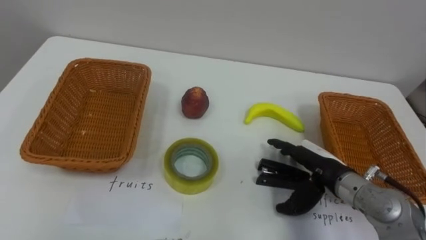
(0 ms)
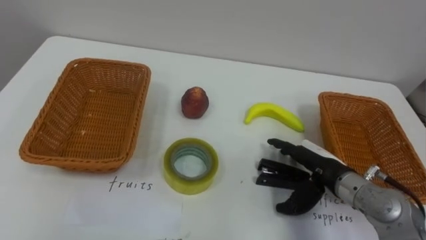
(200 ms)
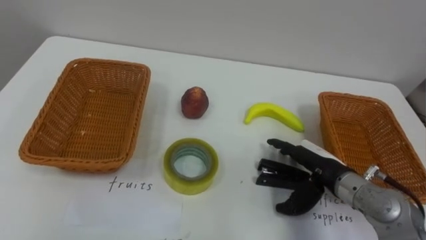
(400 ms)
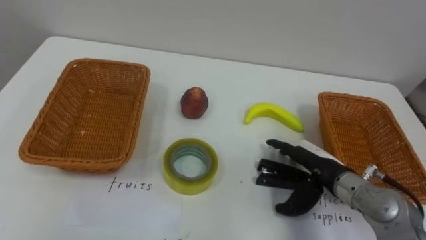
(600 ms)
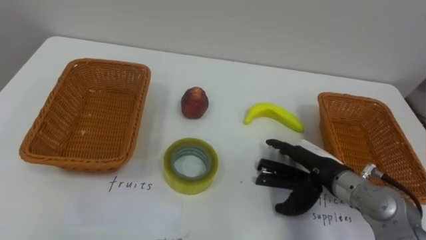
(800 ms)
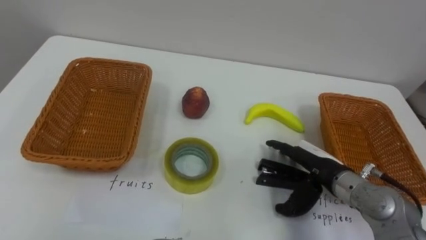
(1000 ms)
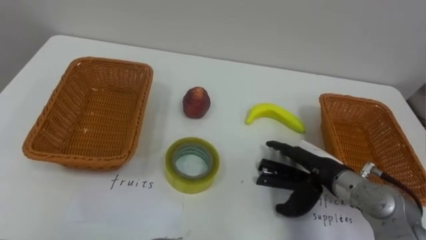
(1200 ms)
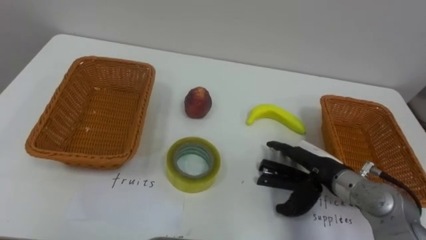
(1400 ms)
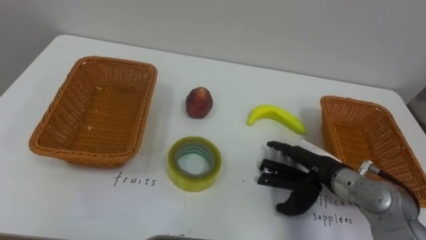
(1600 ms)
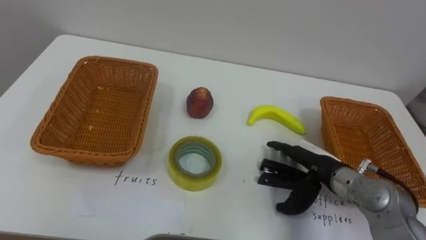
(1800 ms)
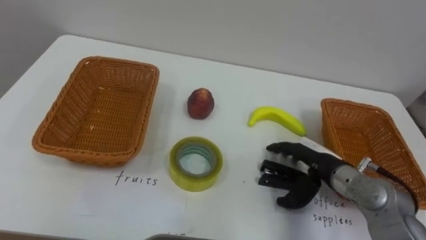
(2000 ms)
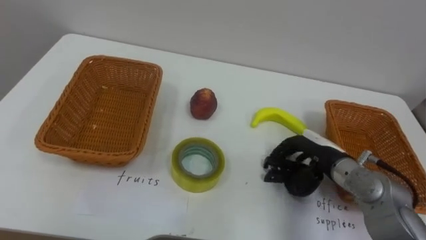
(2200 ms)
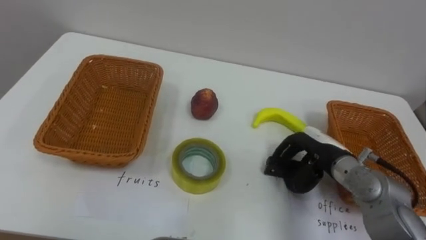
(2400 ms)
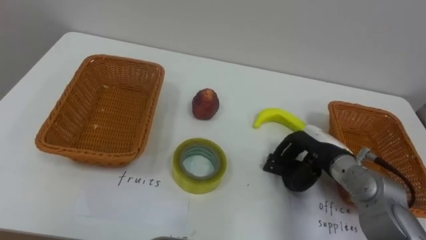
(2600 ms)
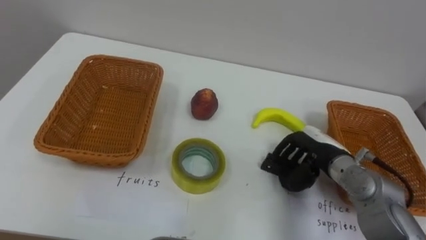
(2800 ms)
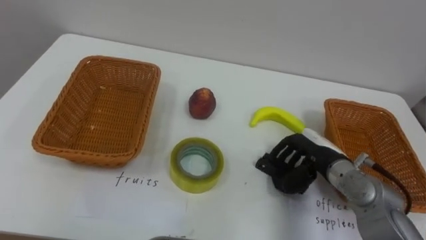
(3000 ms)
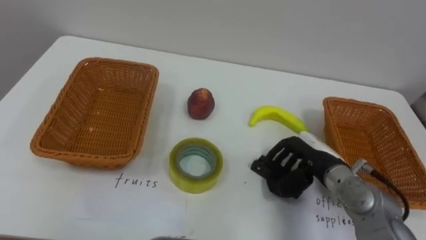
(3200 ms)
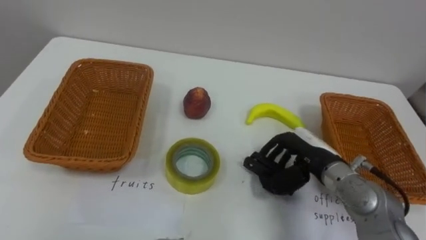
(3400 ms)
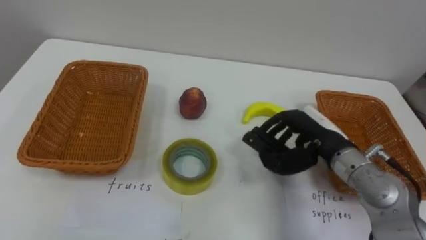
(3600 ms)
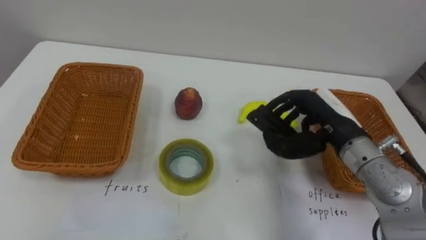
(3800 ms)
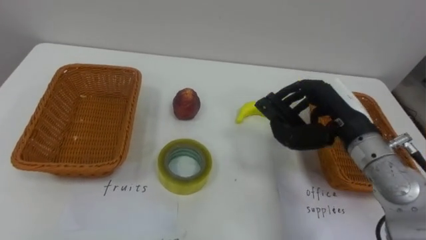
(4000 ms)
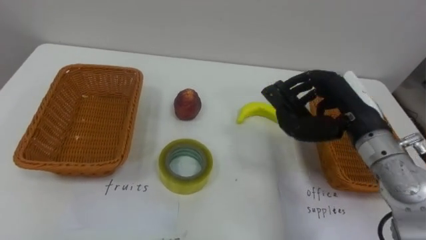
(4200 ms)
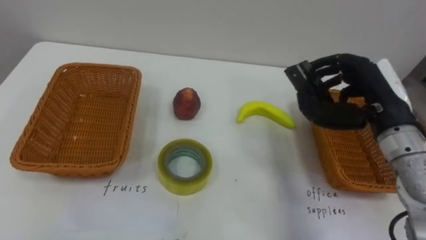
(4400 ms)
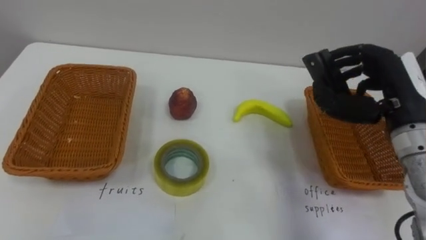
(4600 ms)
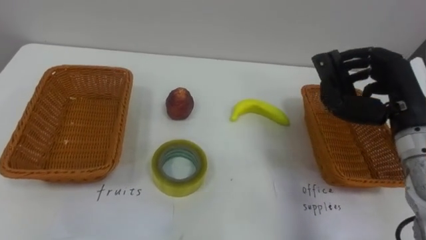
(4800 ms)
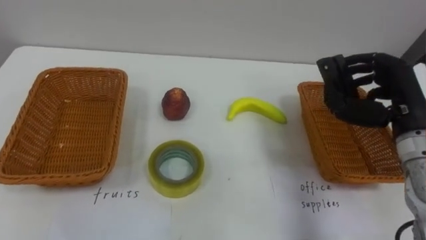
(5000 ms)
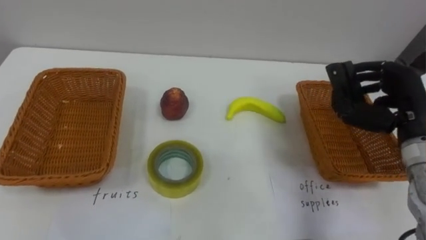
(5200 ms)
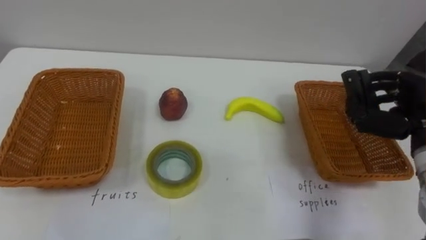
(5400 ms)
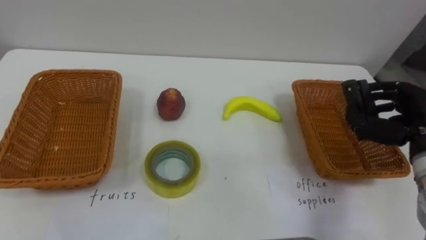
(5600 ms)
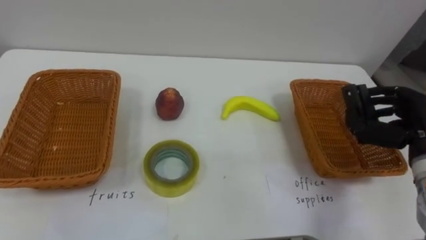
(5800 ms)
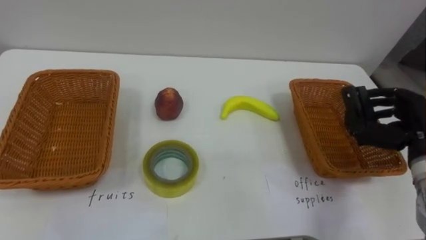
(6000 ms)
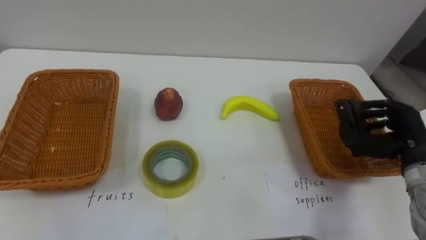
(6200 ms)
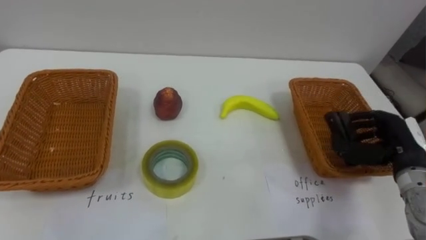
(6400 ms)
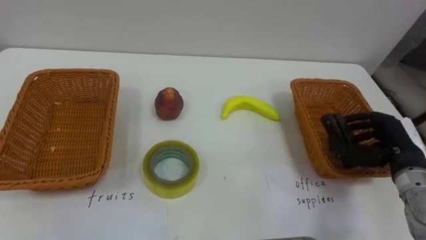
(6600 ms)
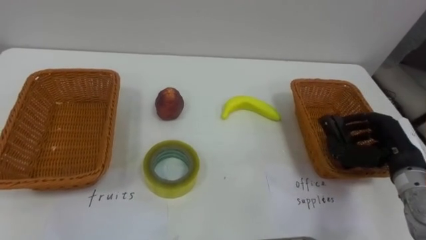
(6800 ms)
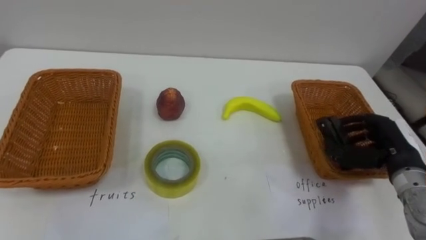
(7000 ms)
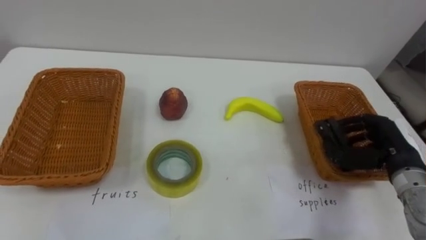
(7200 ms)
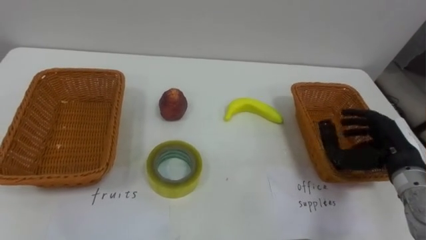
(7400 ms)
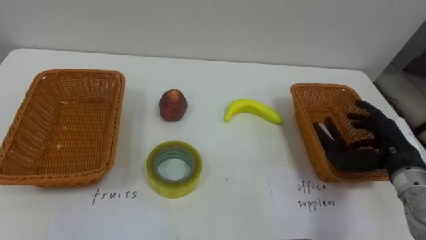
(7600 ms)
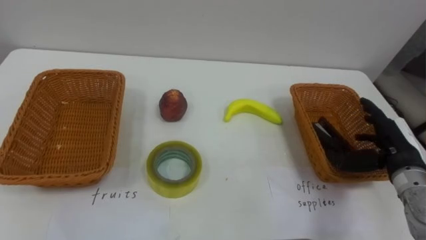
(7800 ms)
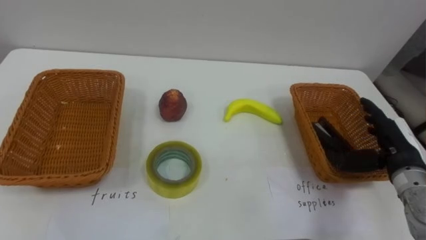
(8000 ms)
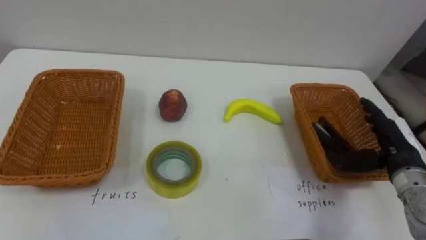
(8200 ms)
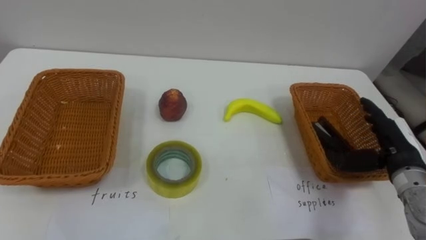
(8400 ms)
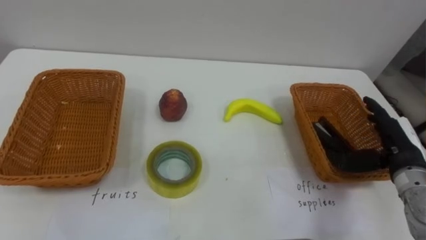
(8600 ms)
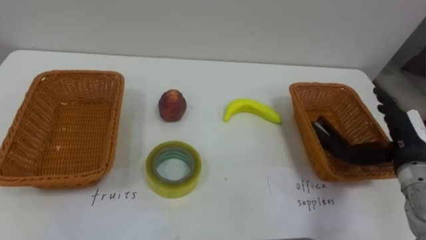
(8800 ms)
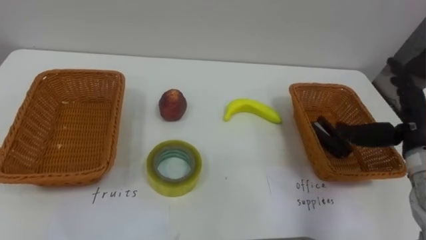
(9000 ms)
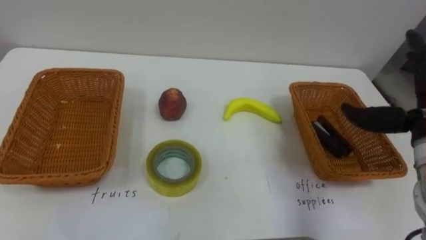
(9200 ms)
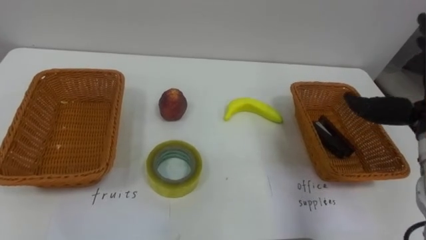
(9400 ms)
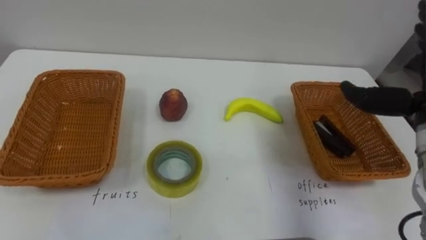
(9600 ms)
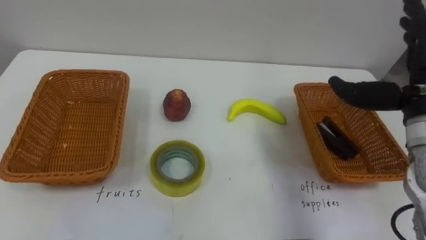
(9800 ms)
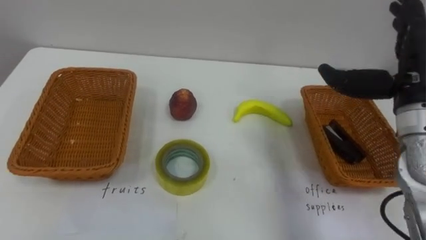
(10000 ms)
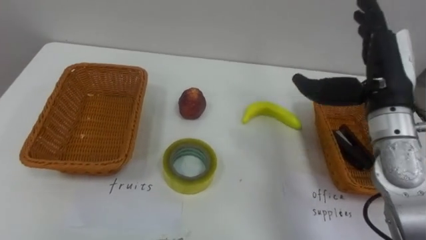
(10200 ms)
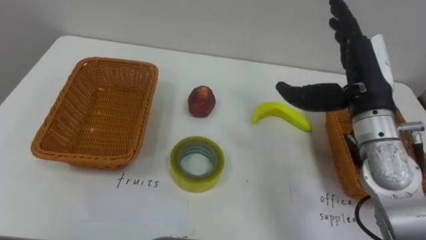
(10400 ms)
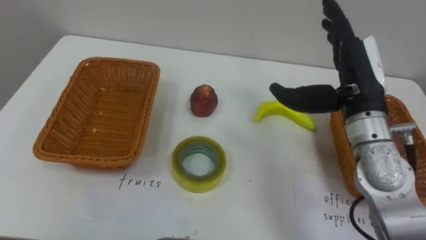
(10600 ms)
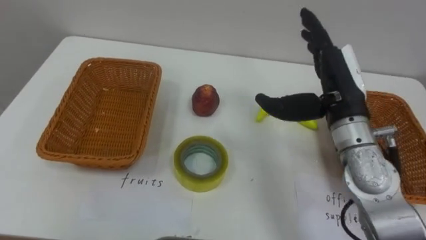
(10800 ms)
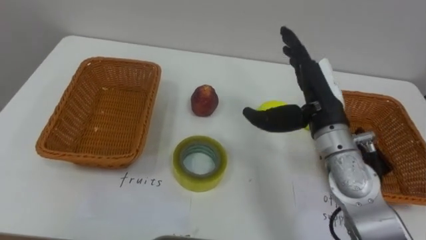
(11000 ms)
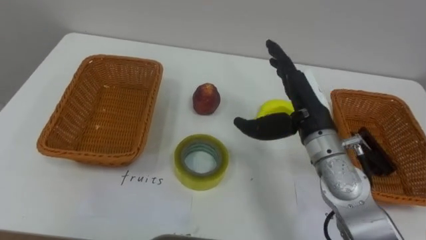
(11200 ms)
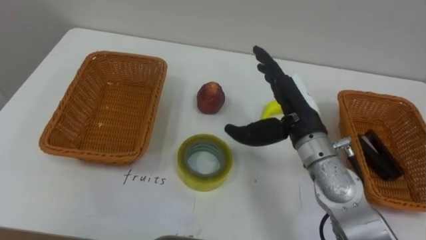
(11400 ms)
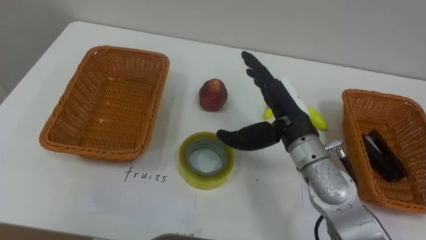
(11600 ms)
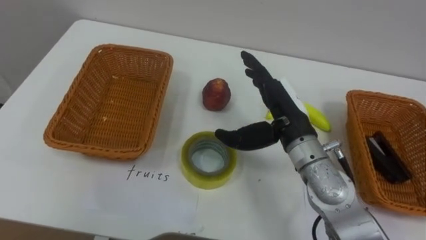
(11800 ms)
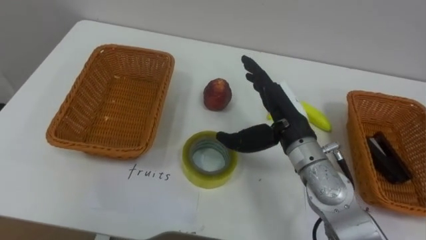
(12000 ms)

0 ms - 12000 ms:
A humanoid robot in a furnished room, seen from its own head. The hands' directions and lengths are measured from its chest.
Task of the whole recording: Separate the items on the table and place them into the two baskets.
1600 ms - 3000 ms: The right hand closes its fingers.
3000 ms - 4400 ms: The right hand heads upward, covering about 15 cm.
4400 ms - 6000 ms: The right hand shifts approximately 10 cm to the right and downward.
6000 ms - 7600 ms: The right hand opens.
7600 ms - 9000 ms: The right hand heads upward, covering some 5 cm.
10400 ms - 12000 ms: The right hand shifts approximately 10 cm to the left and downward.

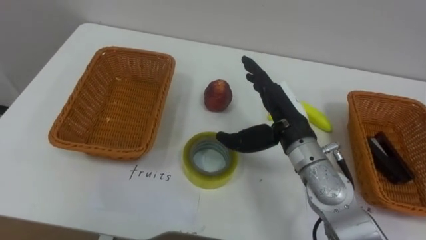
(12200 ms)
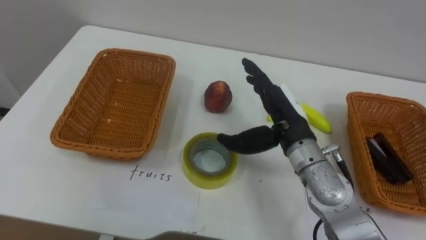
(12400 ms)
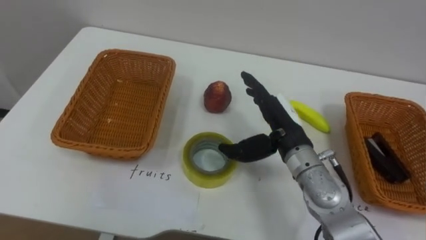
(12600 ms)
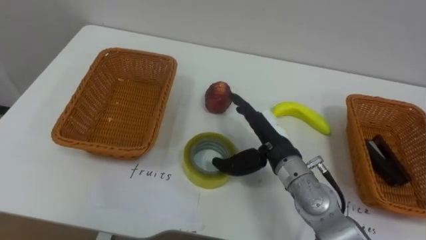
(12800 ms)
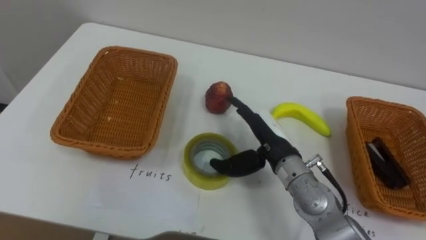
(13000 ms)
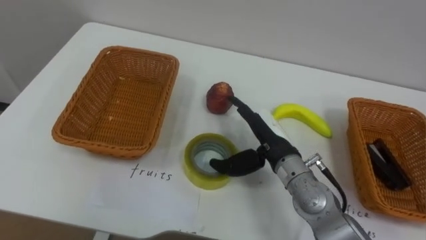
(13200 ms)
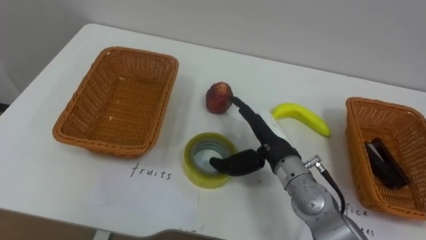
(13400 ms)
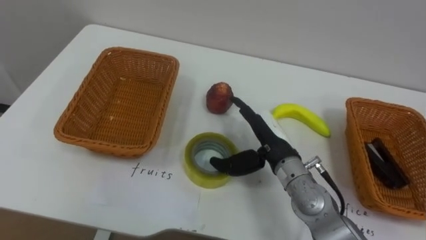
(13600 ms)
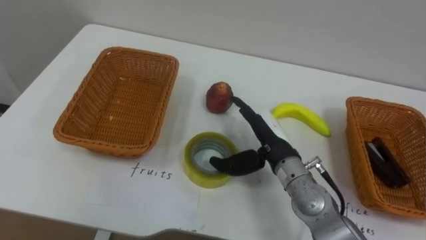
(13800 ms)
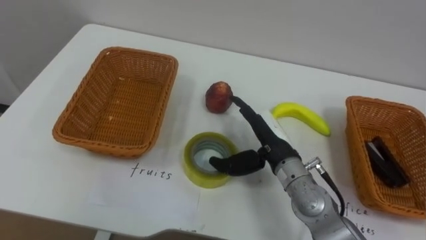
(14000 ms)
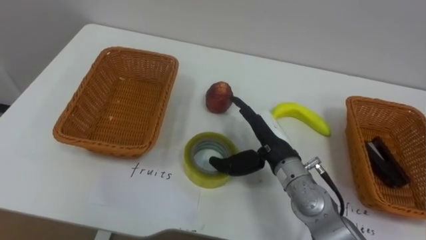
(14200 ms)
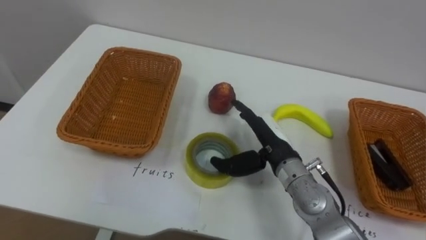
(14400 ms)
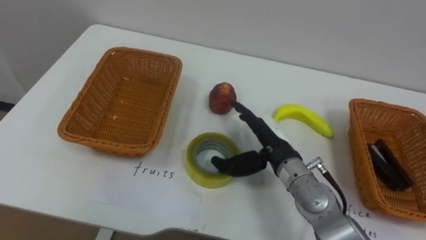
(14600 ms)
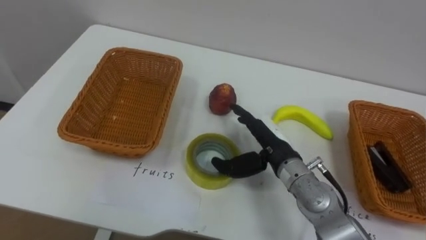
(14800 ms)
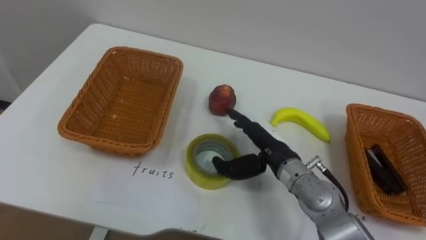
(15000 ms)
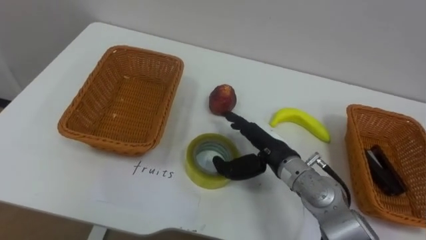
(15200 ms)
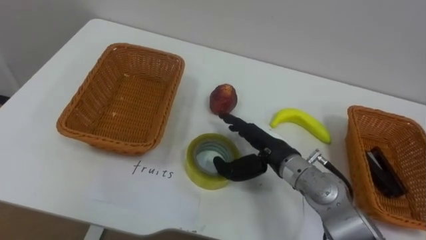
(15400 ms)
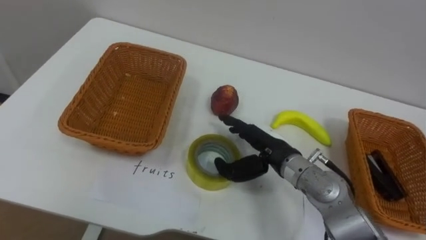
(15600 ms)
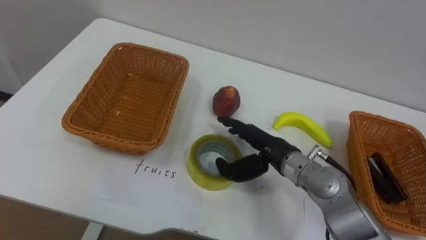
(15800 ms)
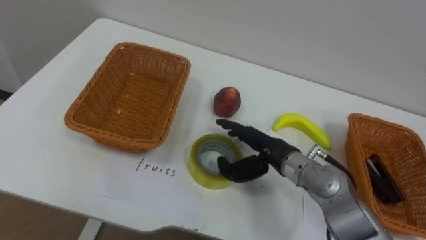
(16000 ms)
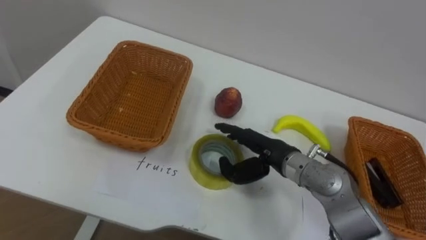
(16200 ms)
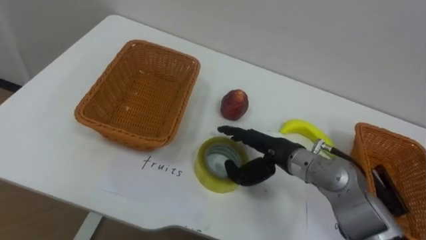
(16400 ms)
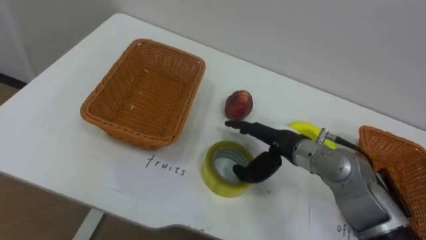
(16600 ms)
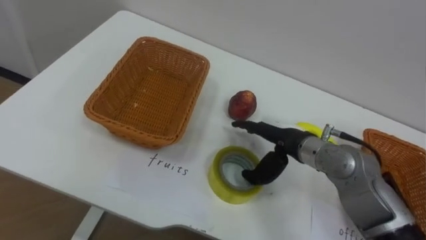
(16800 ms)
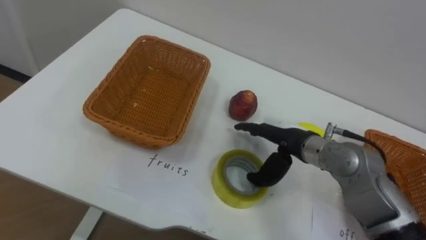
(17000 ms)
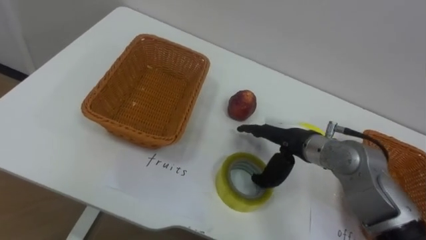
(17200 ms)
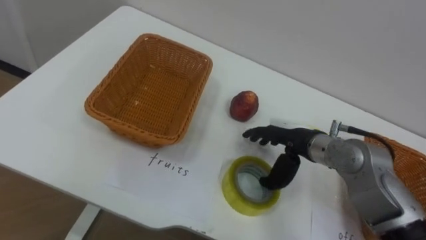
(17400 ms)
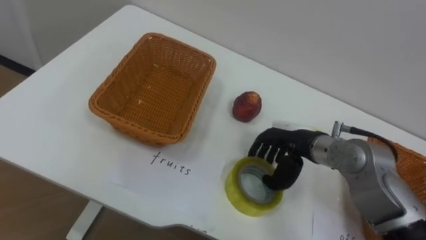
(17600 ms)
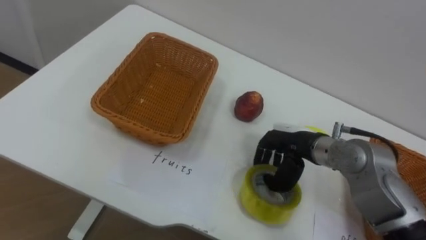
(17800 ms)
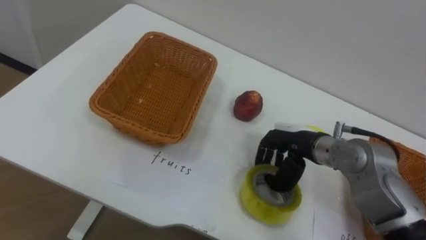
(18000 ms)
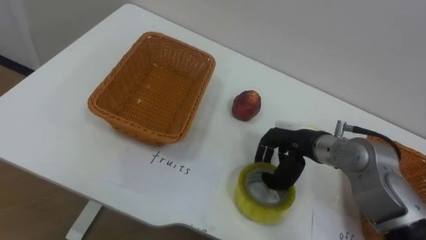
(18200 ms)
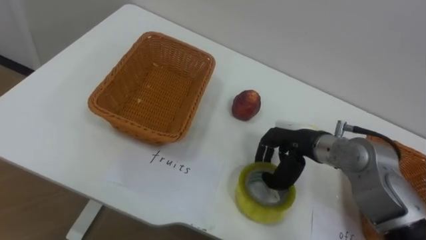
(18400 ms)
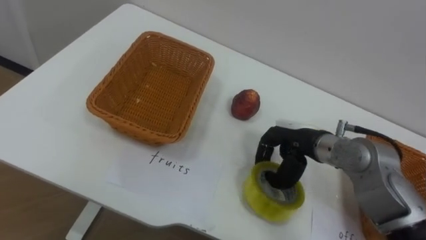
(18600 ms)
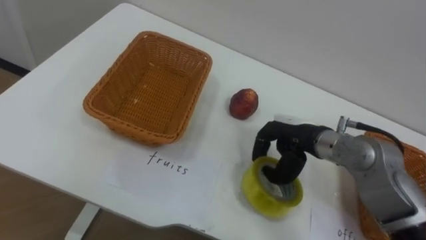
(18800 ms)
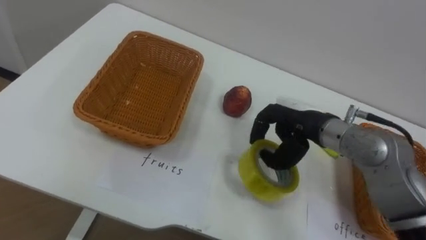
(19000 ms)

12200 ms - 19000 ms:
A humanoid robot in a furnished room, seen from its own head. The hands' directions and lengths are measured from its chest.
Task of the whole recording: Separate the items on the table and place them into the two baskets.
12200 ms - 13600 ms: The right hand heads downward, covering approximately 5 cm.
16200 ms - 17600 ms: The right hand shifts approximately 5 cm to the right.
17600 ms - 19000 ms: The right hand closes up.
